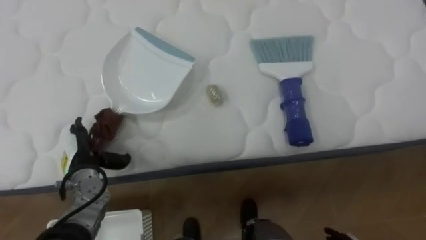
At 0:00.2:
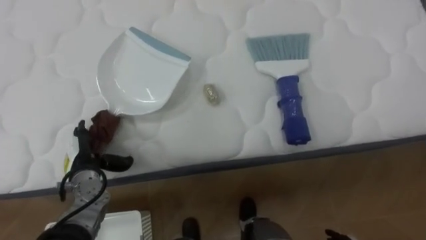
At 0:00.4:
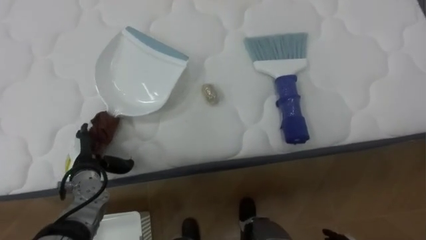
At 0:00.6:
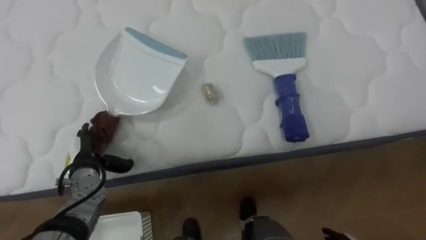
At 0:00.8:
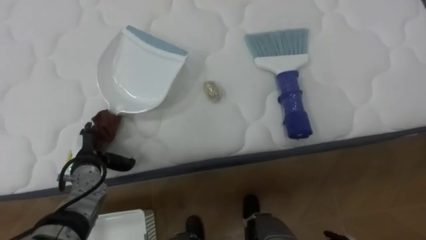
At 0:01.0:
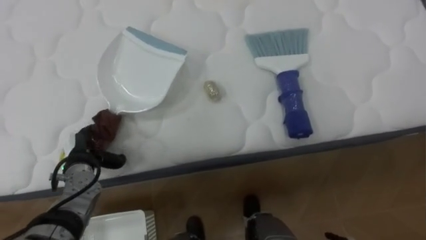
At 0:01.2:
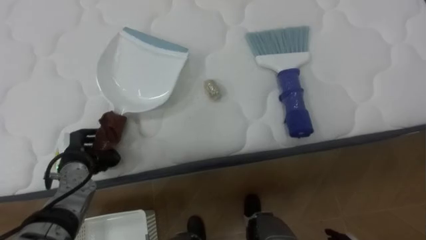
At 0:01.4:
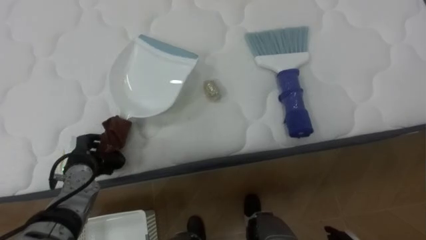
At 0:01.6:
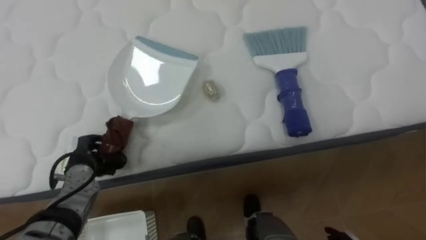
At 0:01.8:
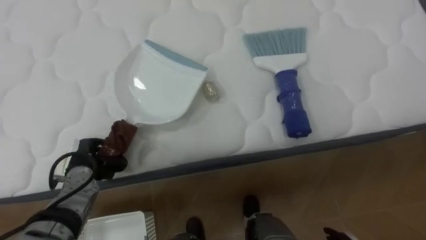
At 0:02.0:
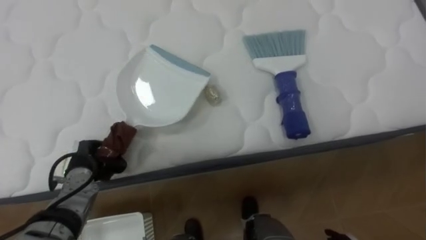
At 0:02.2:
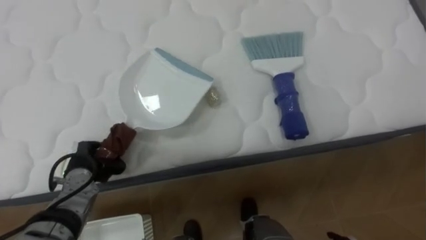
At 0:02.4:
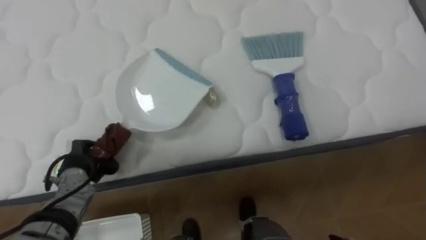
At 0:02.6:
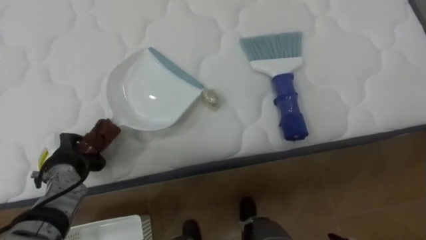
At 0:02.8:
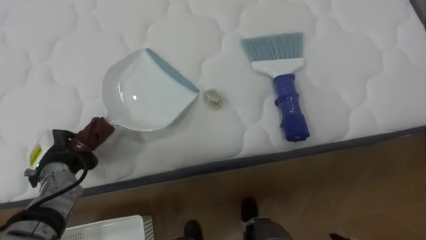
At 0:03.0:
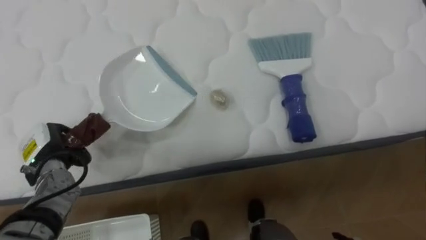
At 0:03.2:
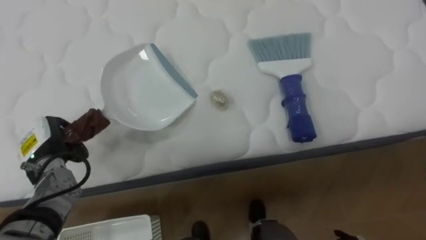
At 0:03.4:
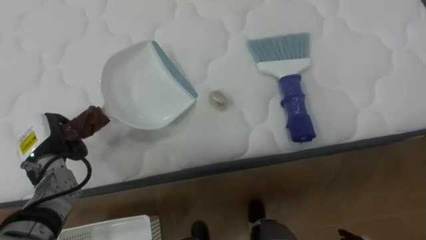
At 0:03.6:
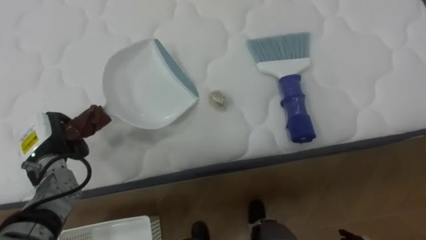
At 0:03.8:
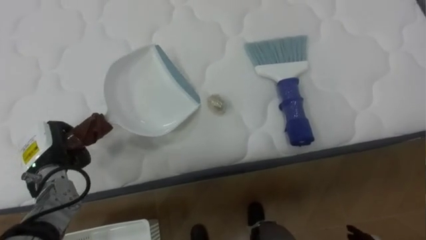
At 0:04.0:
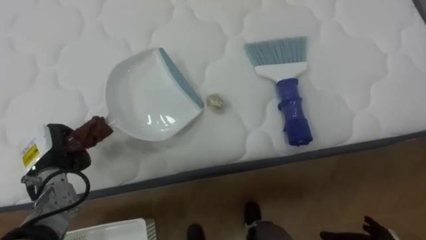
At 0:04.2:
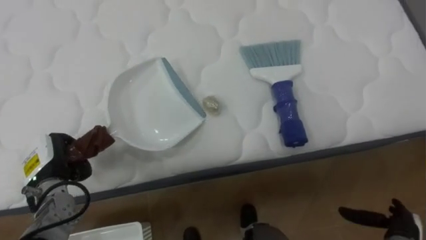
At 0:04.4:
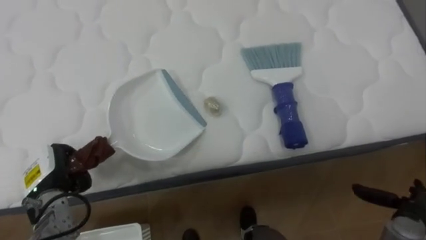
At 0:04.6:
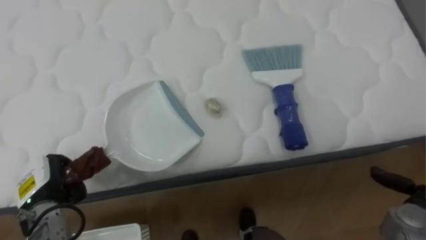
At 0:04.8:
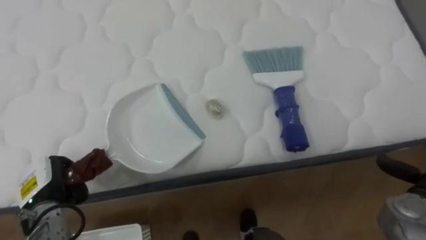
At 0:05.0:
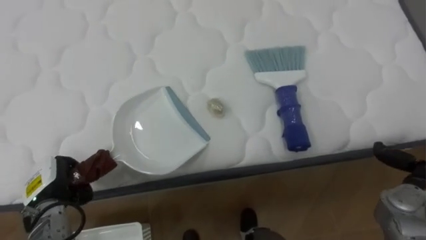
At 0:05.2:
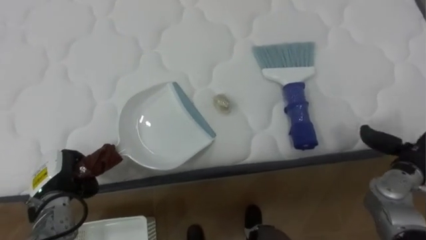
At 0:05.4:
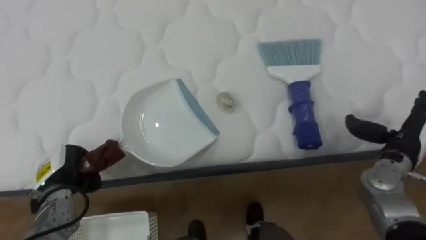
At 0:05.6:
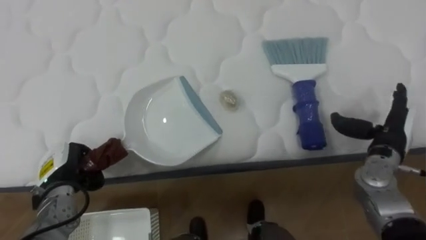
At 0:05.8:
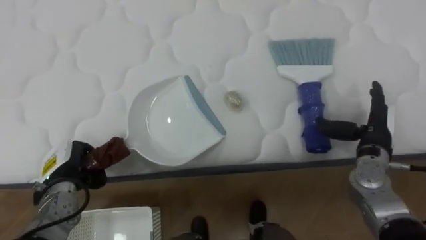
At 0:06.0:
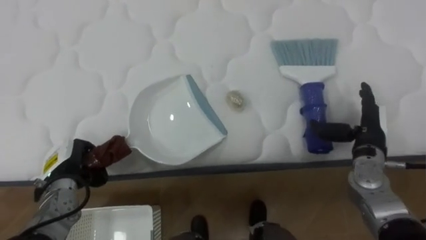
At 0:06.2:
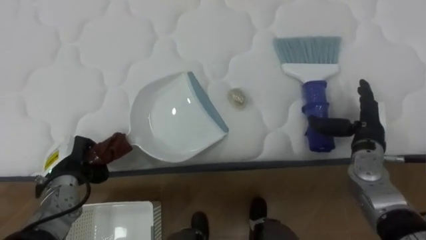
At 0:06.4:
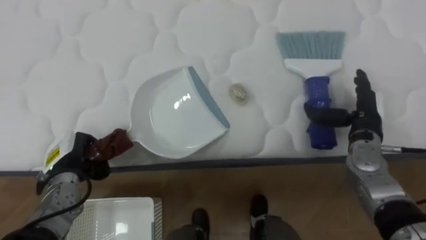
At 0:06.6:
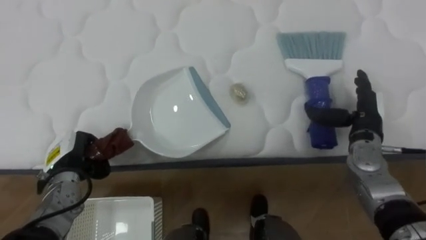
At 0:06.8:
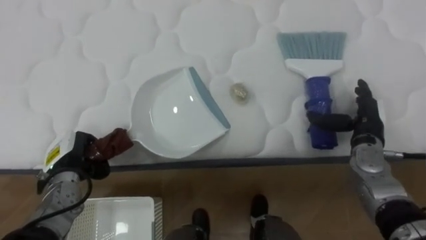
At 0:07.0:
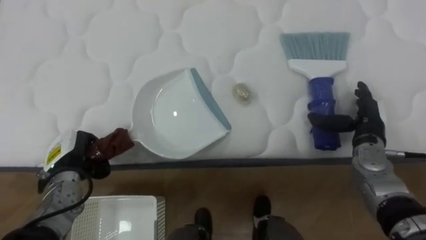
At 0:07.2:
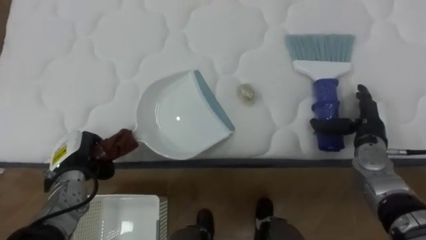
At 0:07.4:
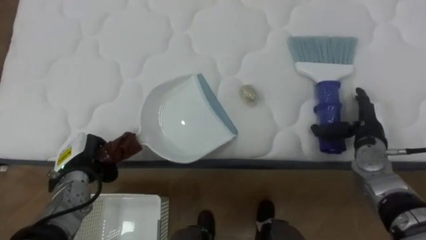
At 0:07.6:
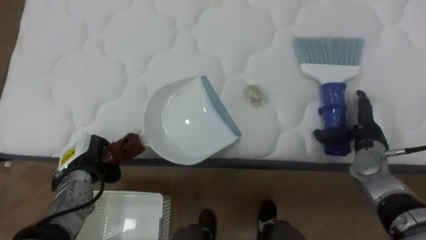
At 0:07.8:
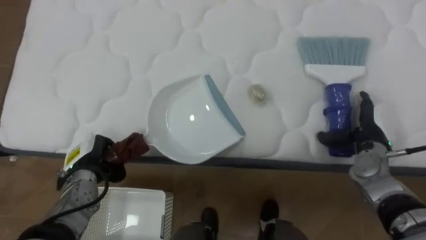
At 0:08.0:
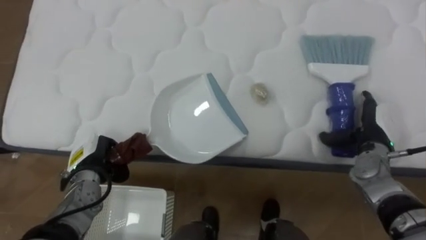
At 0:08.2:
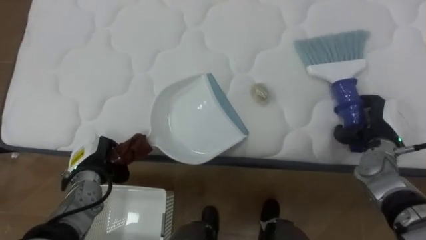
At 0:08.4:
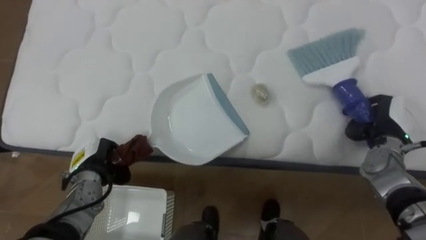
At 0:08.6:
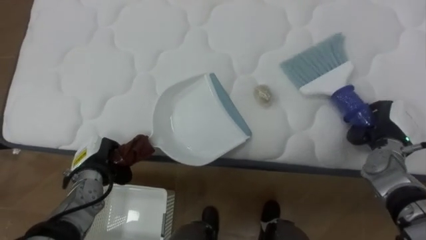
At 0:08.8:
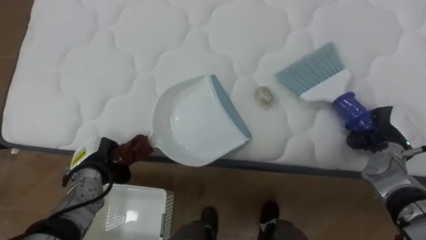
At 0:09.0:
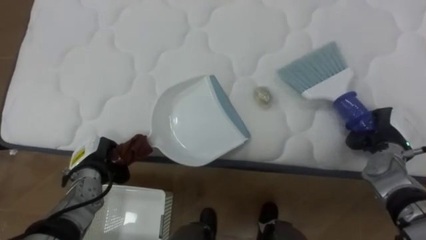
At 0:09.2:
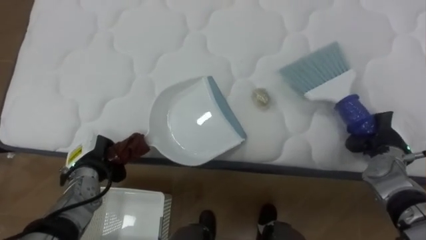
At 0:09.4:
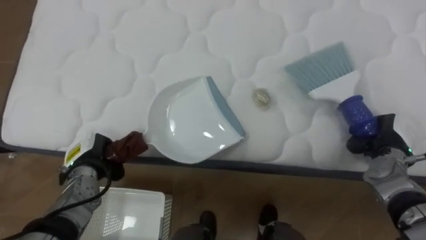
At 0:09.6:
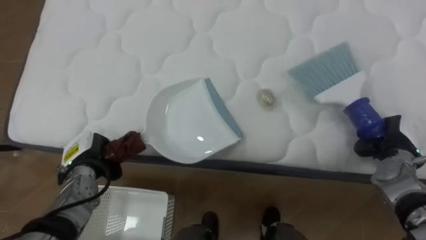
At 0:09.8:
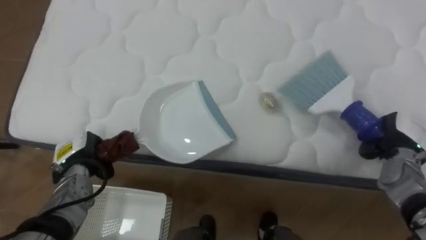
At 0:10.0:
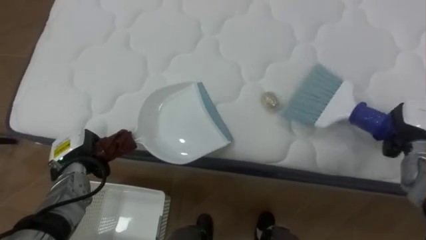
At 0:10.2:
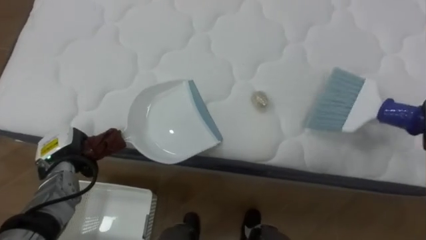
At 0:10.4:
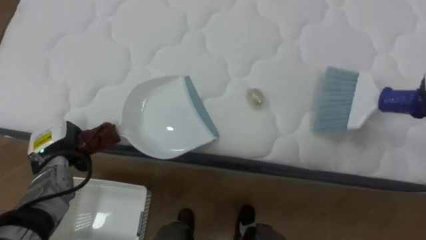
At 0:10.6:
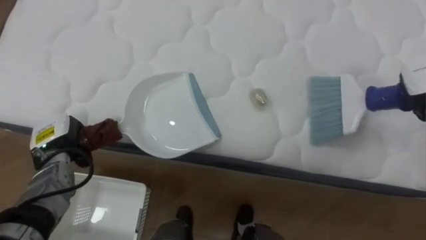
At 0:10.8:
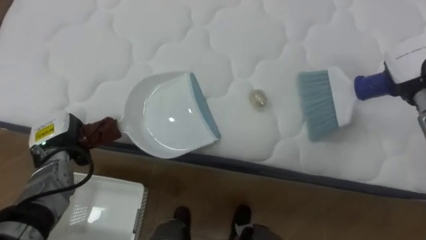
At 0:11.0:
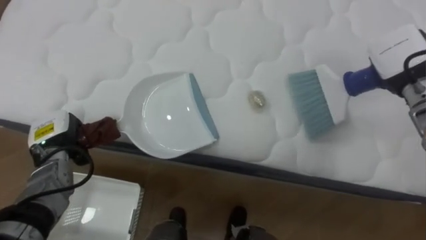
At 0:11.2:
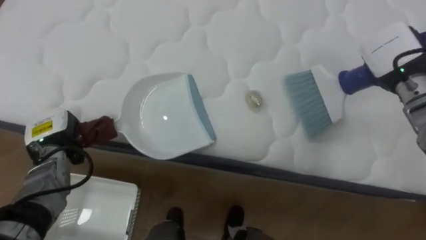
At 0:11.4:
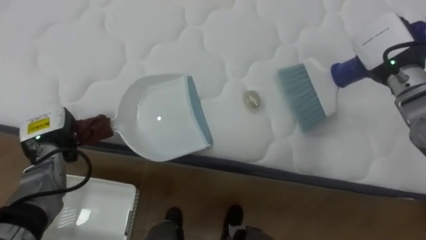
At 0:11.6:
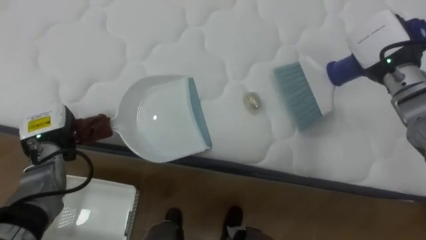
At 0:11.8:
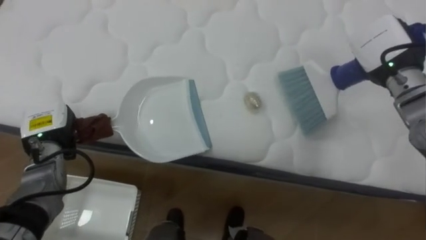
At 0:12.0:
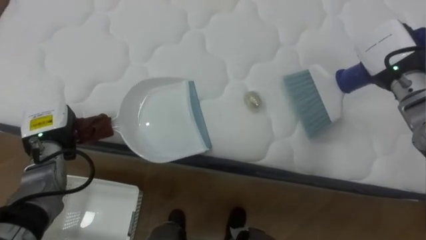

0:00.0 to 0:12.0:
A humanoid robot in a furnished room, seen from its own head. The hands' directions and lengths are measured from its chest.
Task of the whole recording: Pick up the brush on your right and the dustpan on your left. Use the brush to sweep the crumpled paper on the bed into the dustpan, then turn left and empty it into the basket.
0:00.0 to 0:01.6: The left hand closes up.
0:01.6 to 0:03.0: The left hand moves to the left, roughly 5 cm.
0:03.0 to 0:04.4: The left hand changes place by approximately 5 cm.
0:04.4 to 0:06.0: The right hand moves forward, upward and to the left, approximately 20 cm.
0:07.6 to 0:09.0: The right hand closes up.
0:09.0 to 0:10.4: The left hand heads to the left, covering some 5 cm.

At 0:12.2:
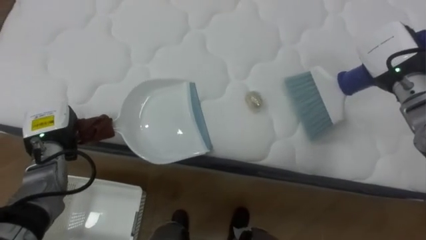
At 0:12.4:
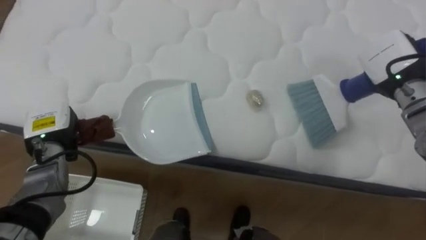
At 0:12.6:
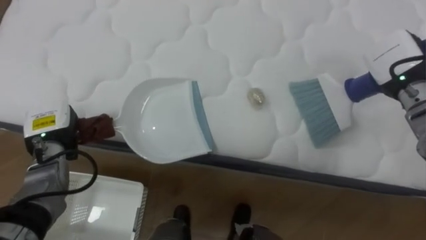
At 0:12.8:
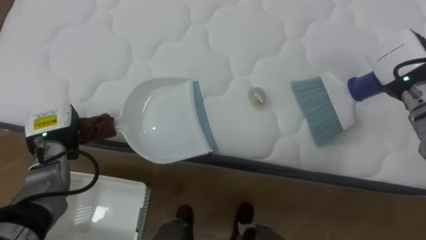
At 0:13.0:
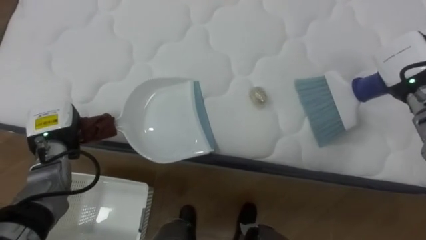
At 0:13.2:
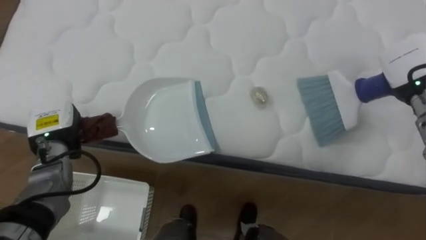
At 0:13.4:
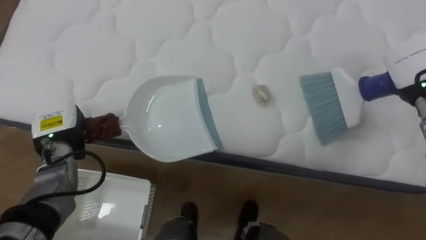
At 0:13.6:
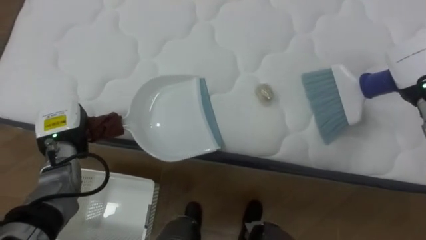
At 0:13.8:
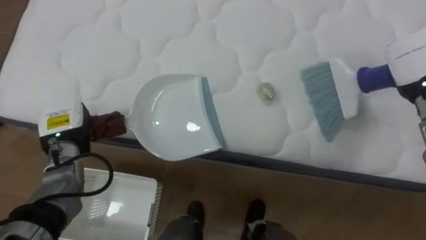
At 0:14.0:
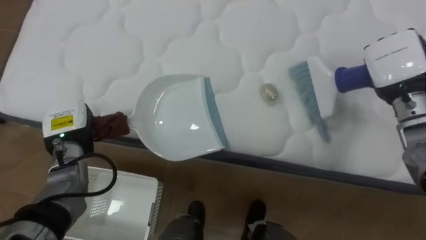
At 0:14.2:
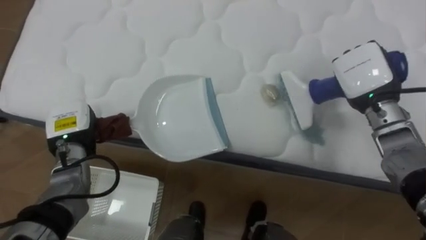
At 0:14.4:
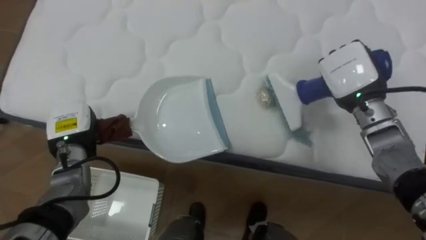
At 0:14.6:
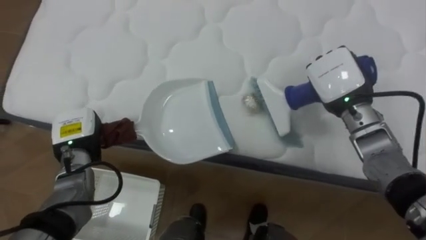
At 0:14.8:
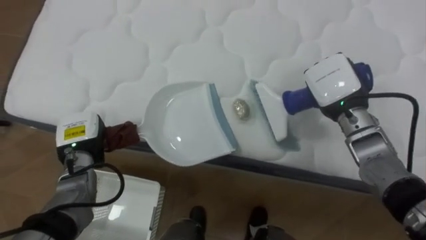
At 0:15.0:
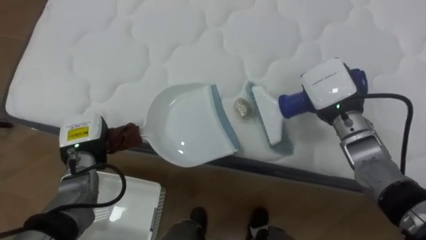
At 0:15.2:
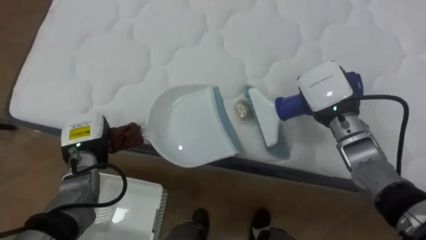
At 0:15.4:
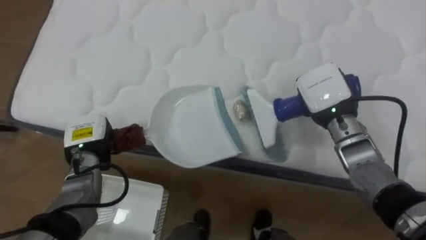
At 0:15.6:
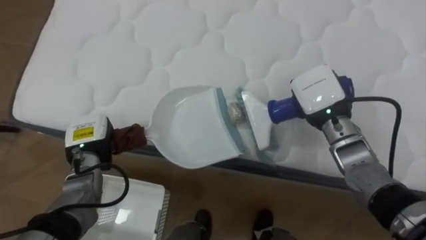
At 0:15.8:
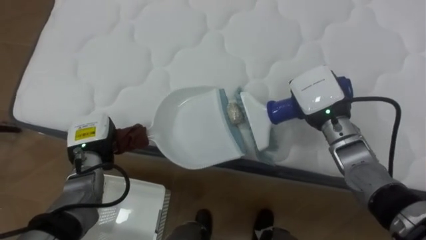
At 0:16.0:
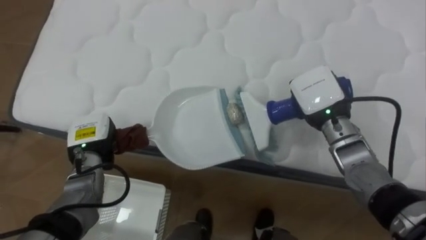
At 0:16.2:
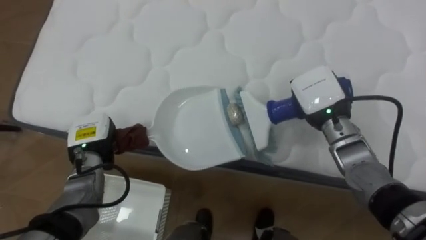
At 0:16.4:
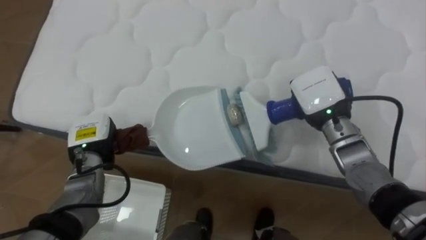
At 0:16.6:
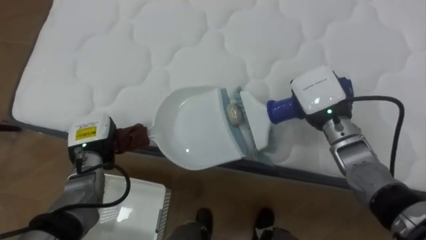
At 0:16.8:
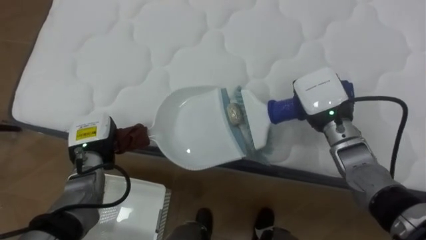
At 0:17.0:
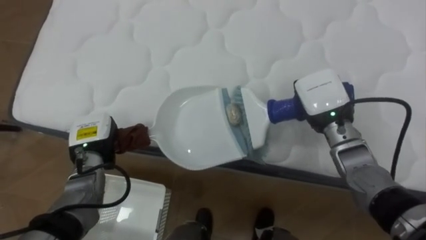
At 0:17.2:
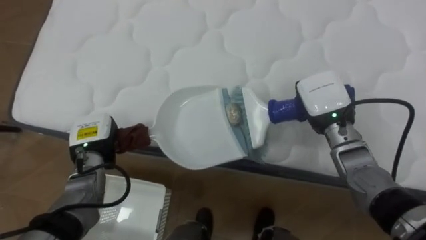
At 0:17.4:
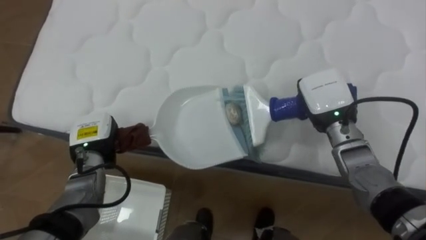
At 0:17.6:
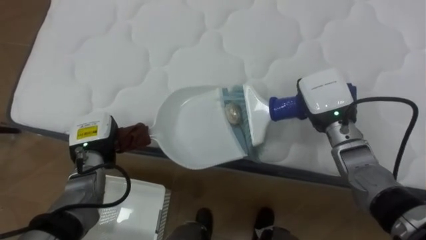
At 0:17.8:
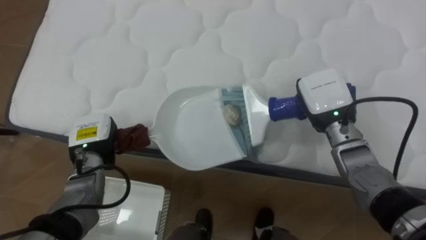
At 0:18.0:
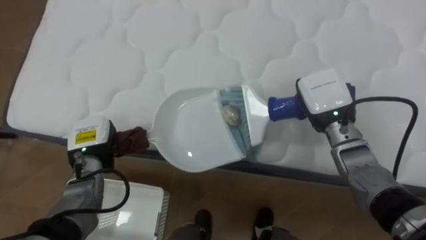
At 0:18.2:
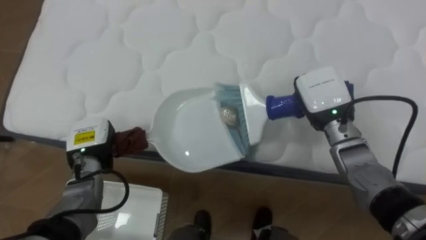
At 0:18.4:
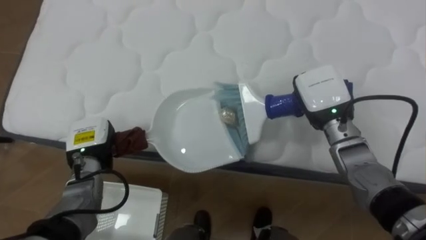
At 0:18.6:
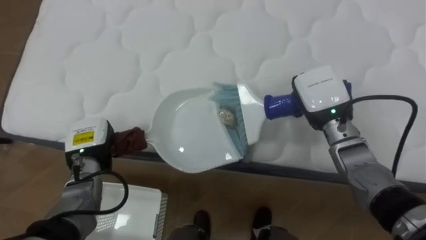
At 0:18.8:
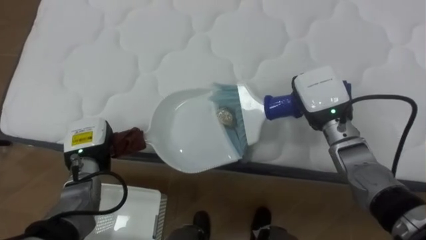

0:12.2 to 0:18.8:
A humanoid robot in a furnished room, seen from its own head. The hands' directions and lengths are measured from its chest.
Task of the whole recording: Pick up the brush on your right and the dustpan on your left. Use the brush to sweep the crumpled paper on the bed into the dustpan, then turn left and empty it into the basket.
0:13.8 to 0:15.4: The right hand goes about 15 cm to the left and downward.
0:15.4 to 0:17.2: The hands make only small movements.
0:17.2 to 0:18.8: The two hands keep their place.
